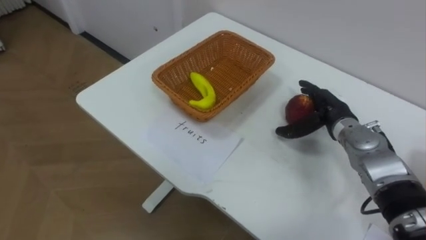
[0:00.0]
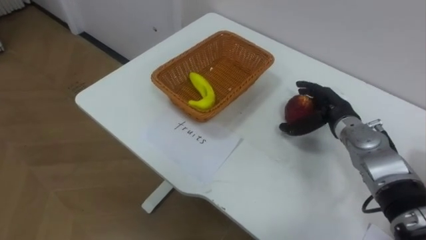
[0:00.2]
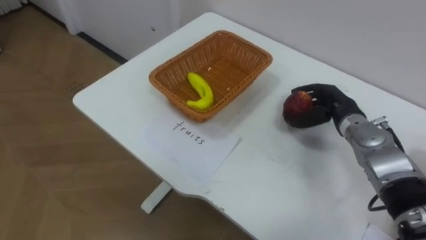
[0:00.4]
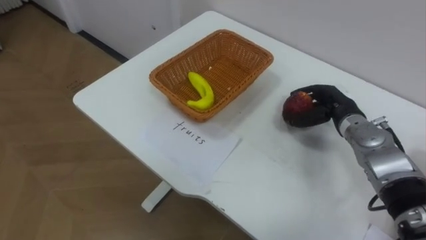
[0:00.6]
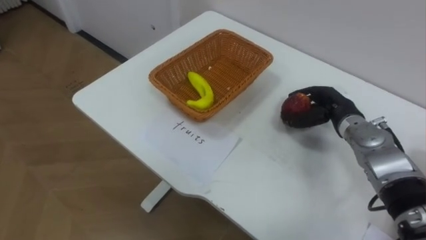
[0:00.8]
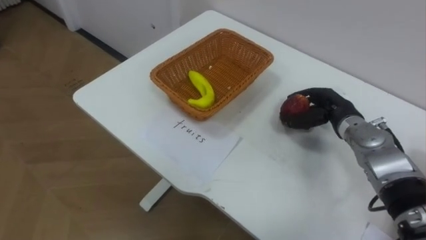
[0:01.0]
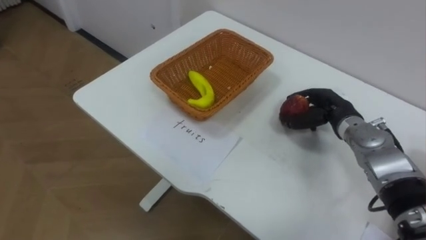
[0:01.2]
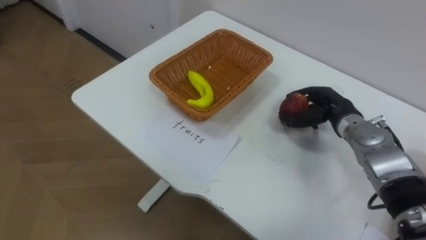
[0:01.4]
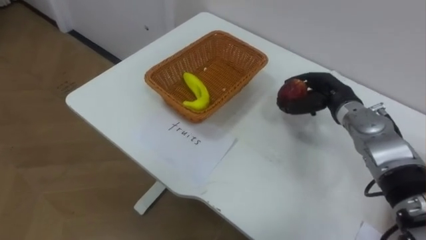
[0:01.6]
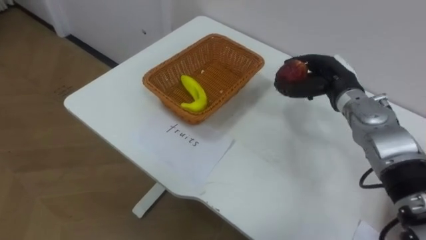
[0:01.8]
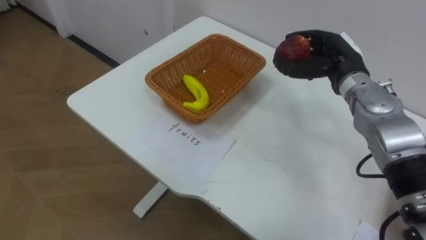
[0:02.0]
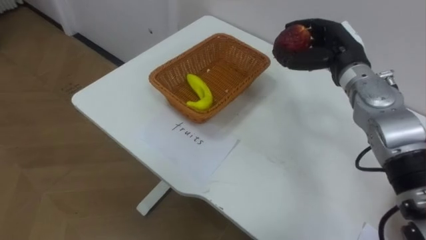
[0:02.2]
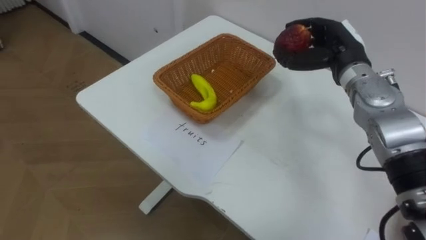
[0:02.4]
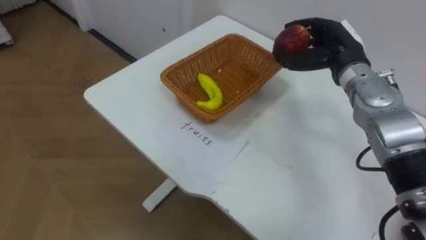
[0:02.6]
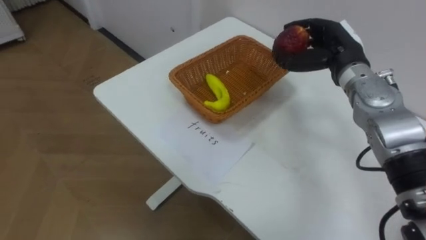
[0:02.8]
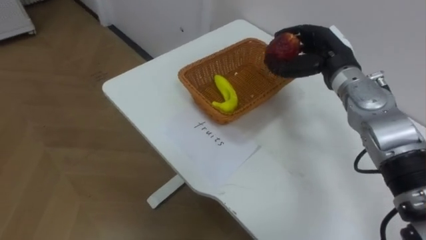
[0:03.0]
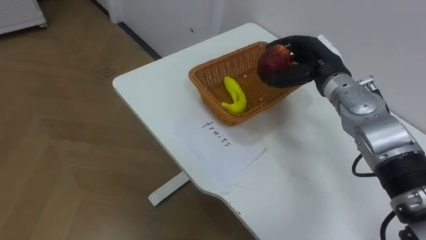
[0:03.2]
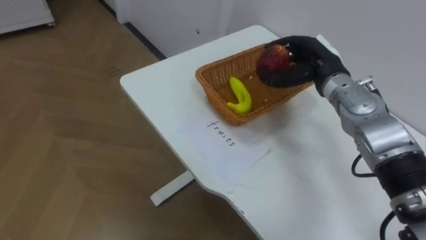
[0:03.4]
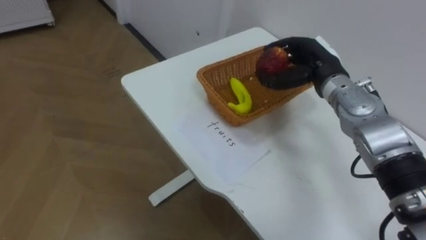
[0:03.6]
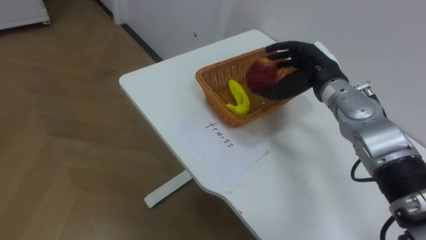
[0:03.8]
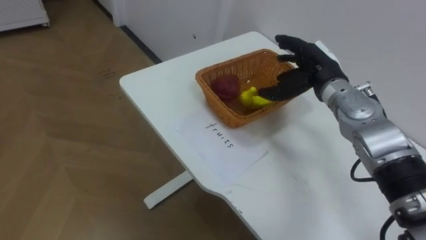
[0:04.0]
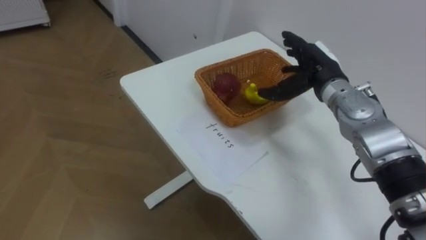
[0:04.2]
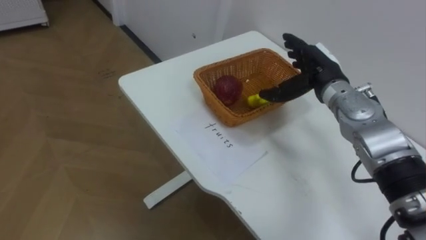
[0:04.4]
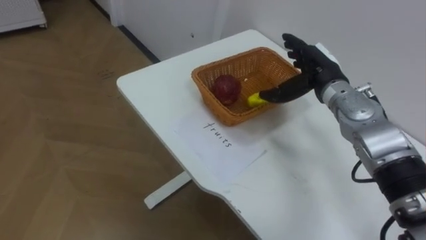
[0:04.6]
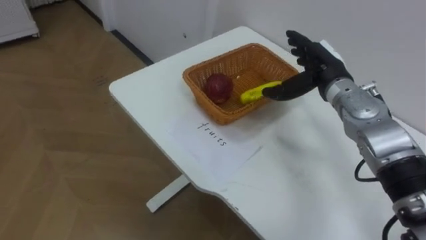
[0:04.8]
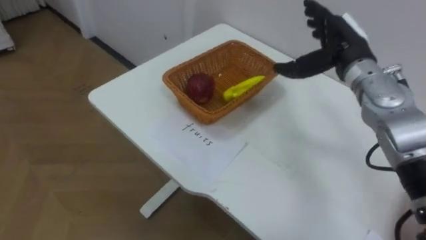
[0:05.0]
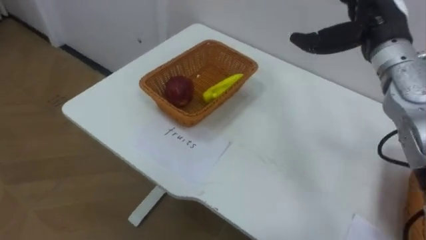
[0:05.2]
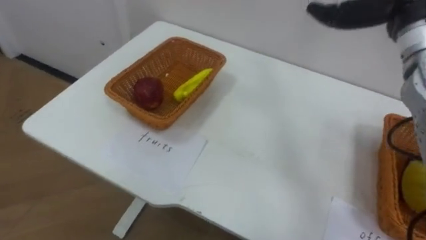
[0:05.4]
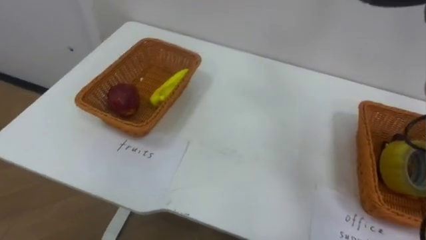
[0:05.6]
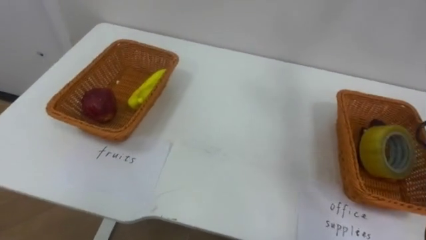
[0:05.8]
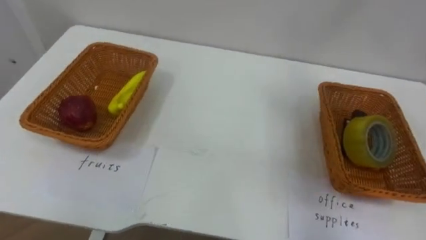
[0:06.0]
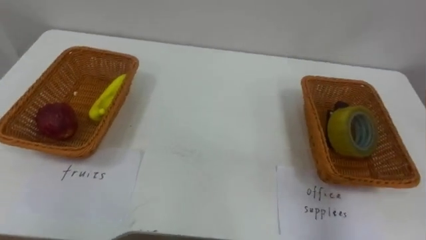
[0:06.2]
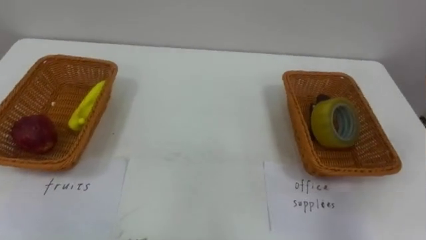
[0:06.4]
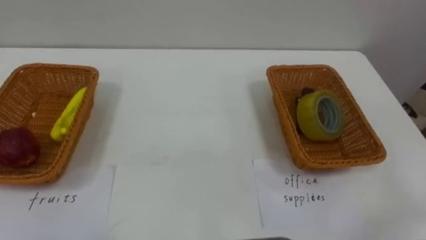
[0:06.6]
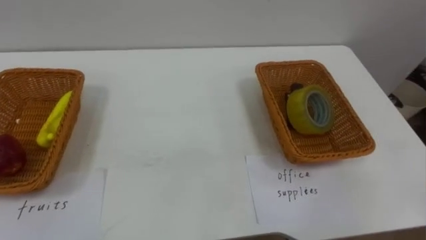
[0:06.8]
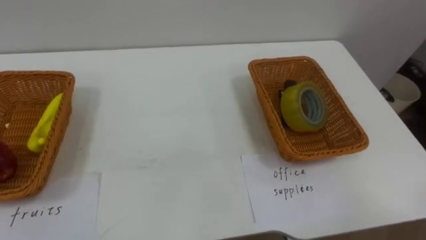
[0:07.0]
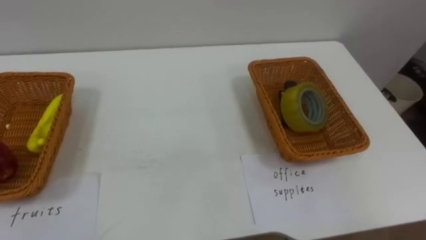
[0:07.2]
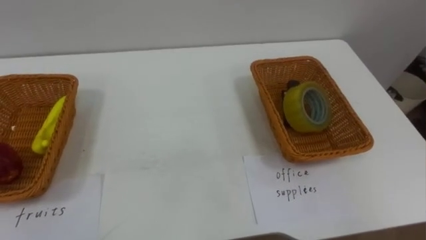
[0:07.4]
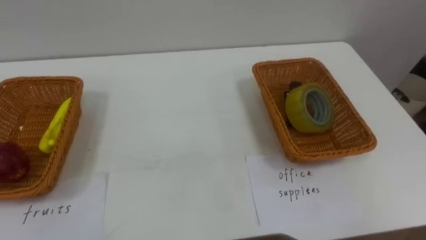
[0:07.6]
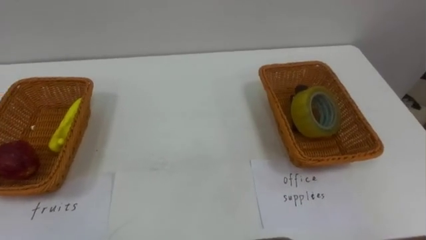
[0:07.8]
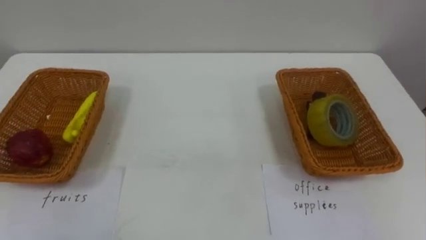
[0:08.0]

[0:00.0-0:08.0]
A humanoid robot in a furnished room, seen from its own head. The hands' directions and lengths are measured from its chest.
Task of the whole recording: Separate the items on the table and place them into the two baskets.
0:00.0 to 0:01.6: The right hand closes its fingers.
0:01.6 to 0:03.2: The right hand is displaced upward by some 5 cm.
0:03.2 to 0:04.8: The right hand opens.
